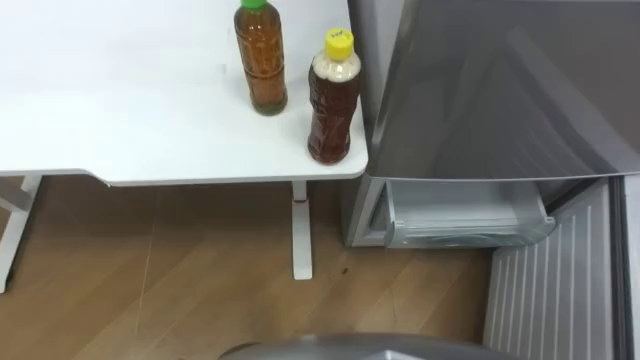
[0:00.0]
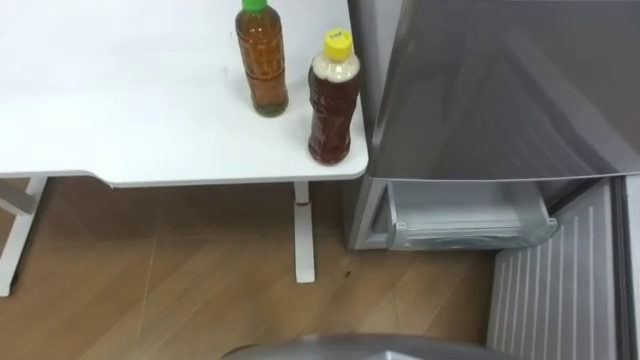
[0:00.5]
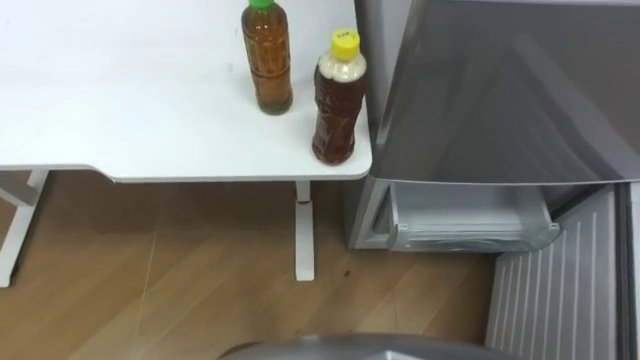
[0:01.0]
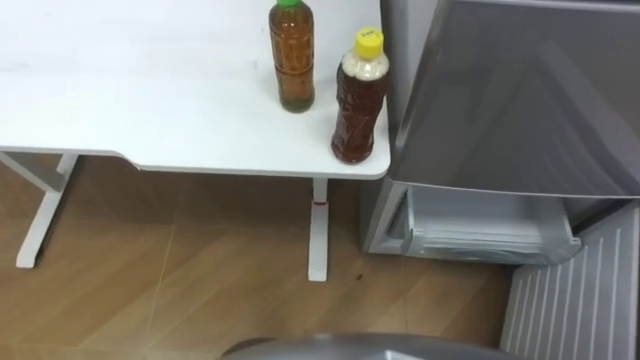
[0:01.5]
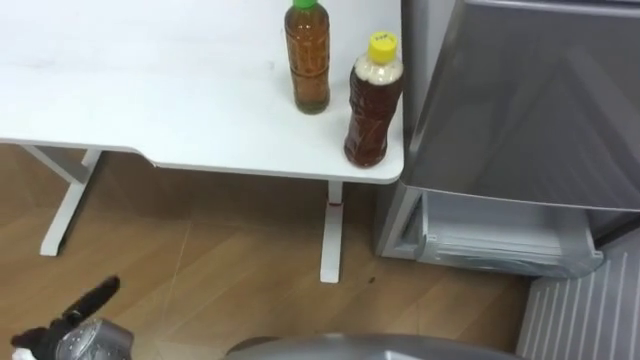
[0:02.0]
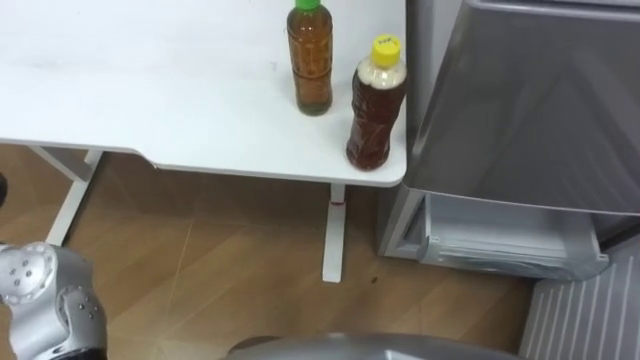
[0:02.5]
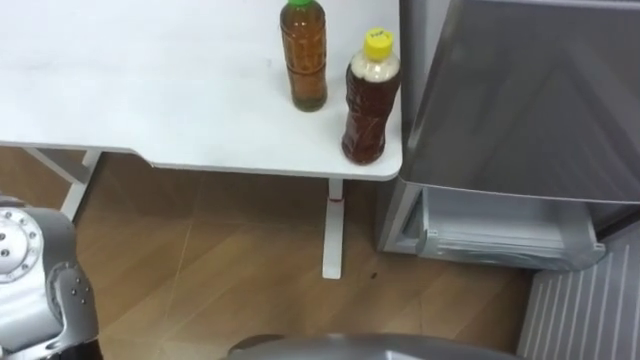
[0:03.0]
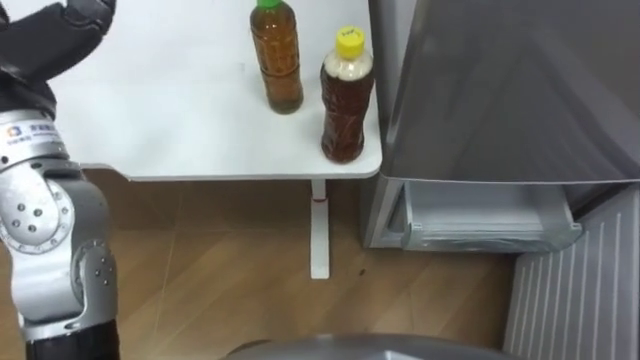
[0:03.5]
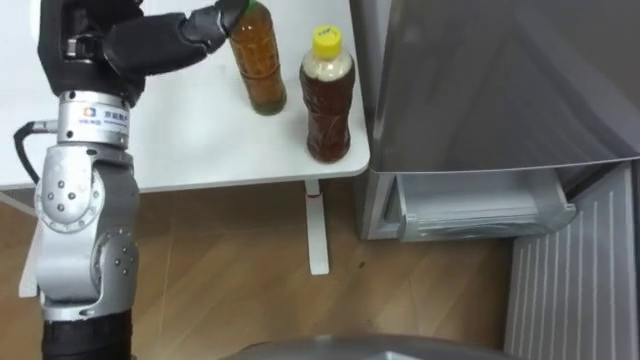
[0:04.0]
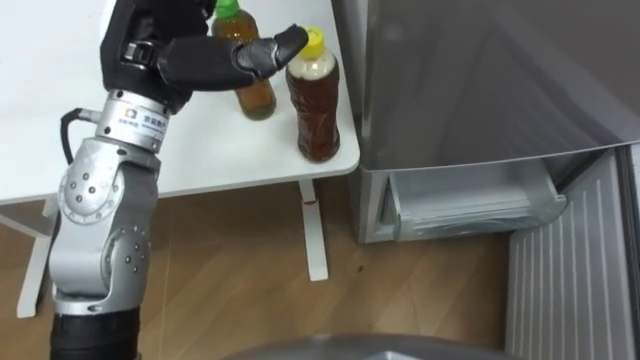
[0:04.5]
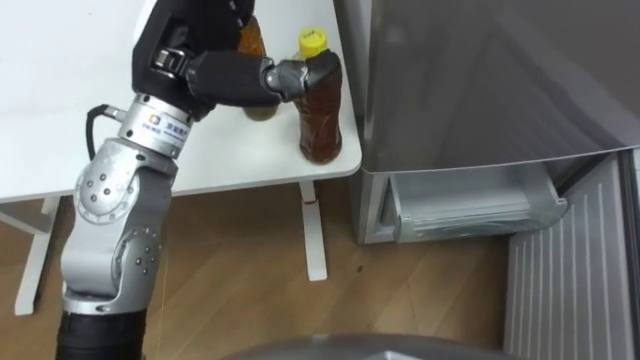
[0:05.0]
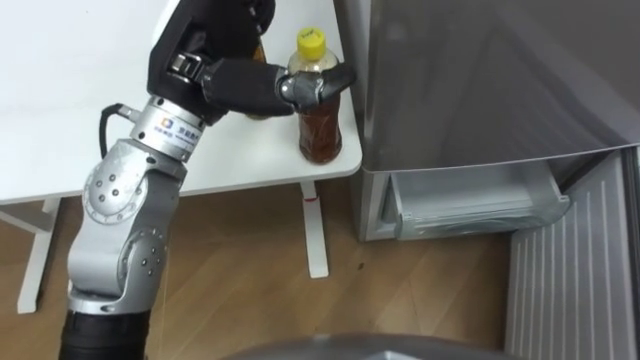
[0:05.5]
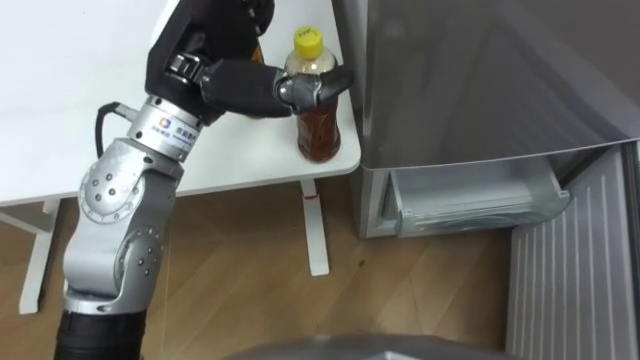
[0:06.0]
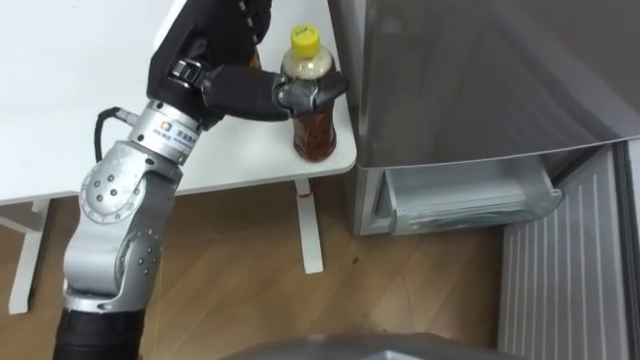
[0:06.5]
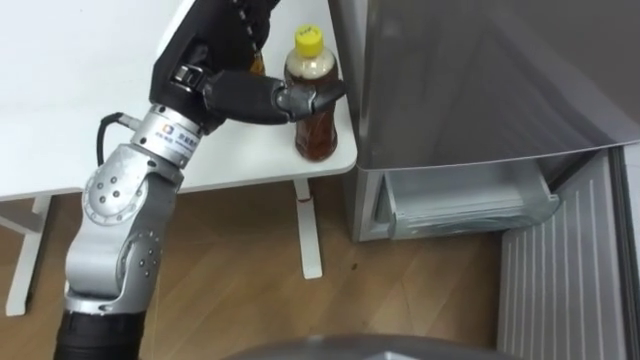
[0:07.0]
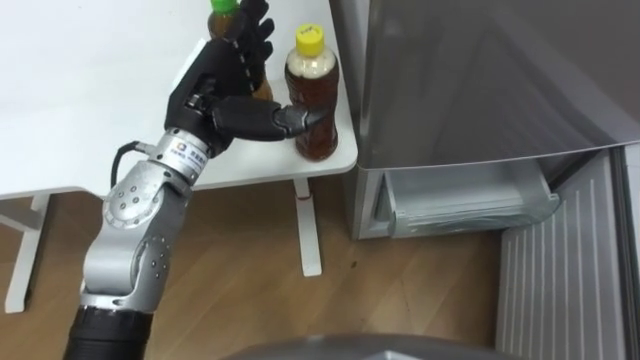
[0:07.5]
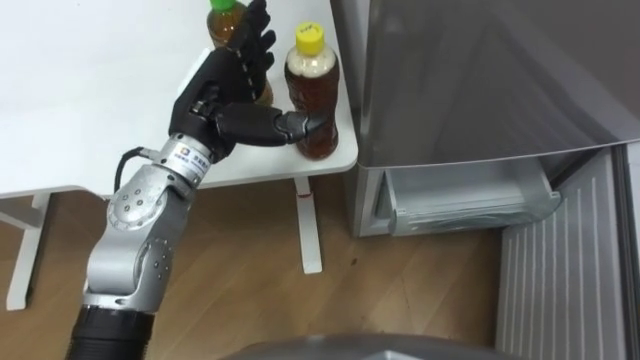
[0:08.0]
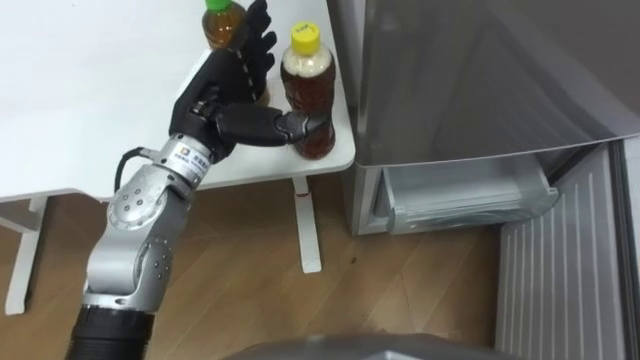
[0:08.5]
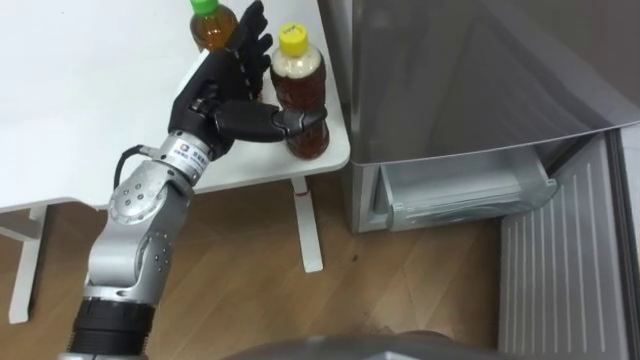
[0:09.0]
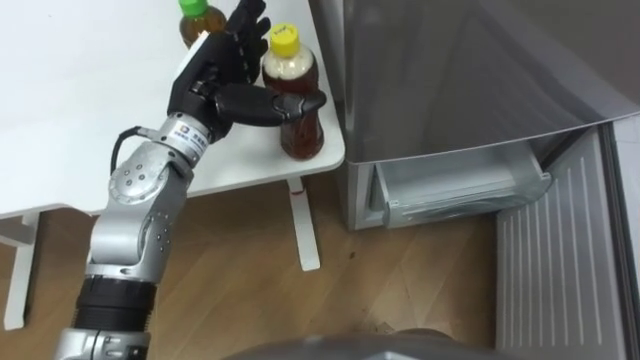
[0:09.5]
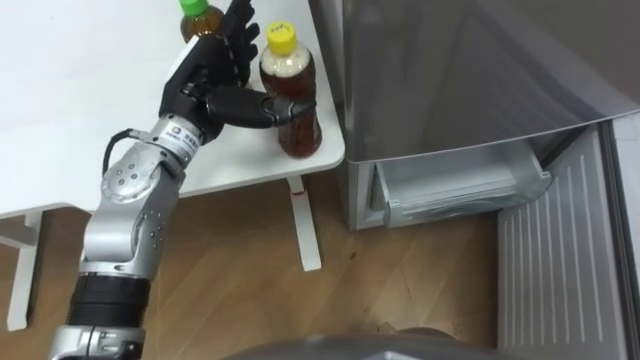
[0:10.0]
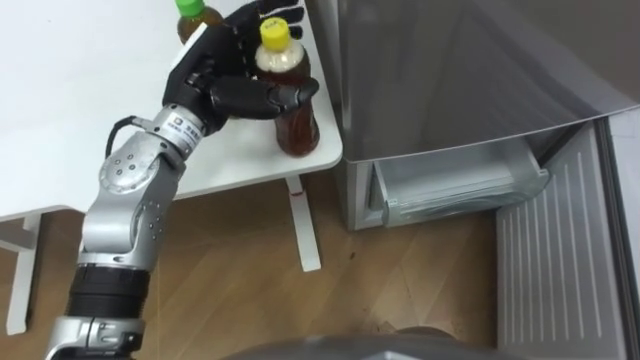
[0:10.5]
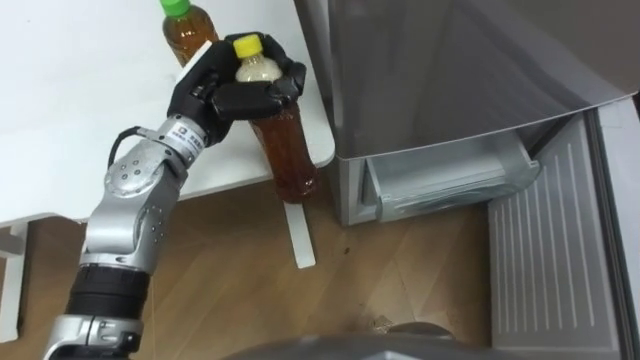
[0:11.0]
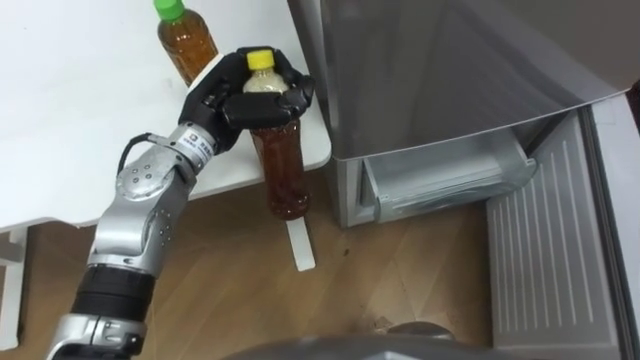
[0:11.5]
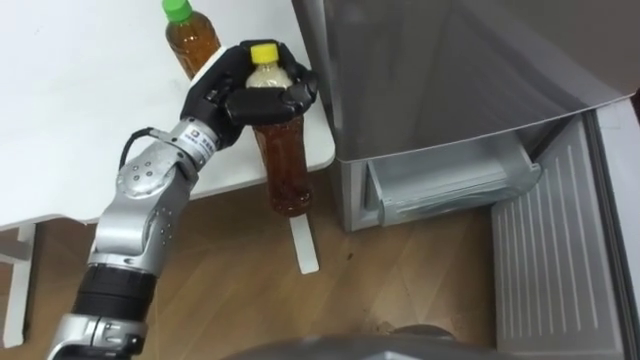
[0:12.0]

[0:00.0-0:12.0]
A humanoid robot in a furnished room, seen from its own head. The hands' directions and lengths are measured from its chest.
Task of the whole recording: Place the drink on the table on the bottom shelf of the refrigerator, then close the drawer and the refrigerator door.
0:04.0 to 0:06.0: The left hand moves to the right, some 10 cm.
0:06.0 to 0:08.0: The left hand heads downward, covering some 10 cm.
0:10.0 to 0:12.0: The left hand closes its fingers.

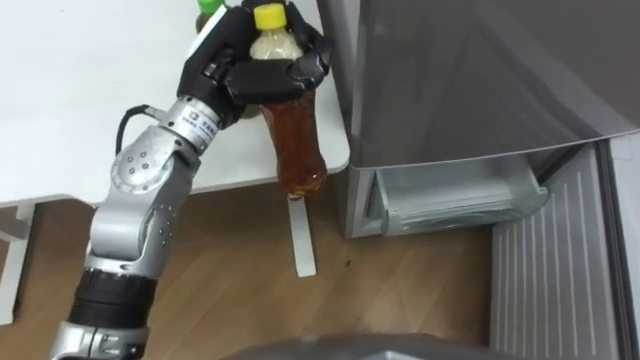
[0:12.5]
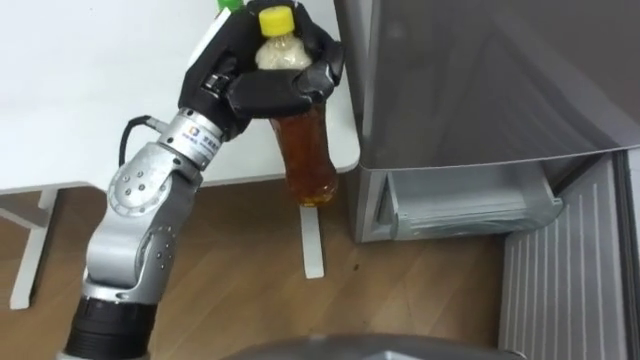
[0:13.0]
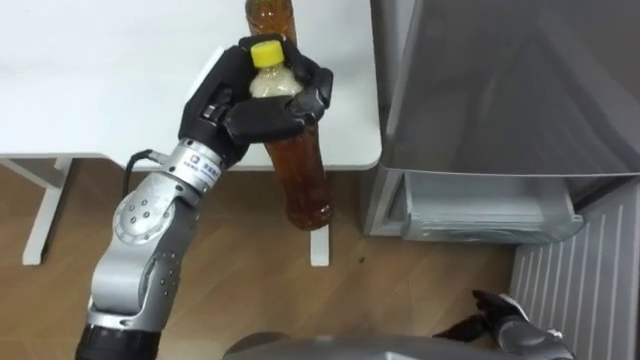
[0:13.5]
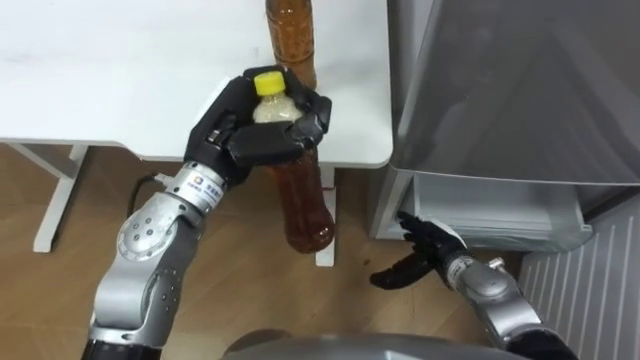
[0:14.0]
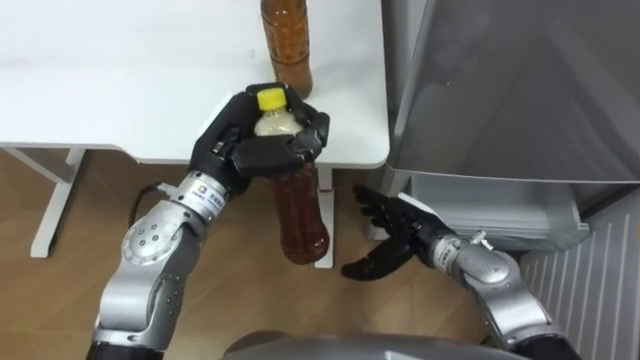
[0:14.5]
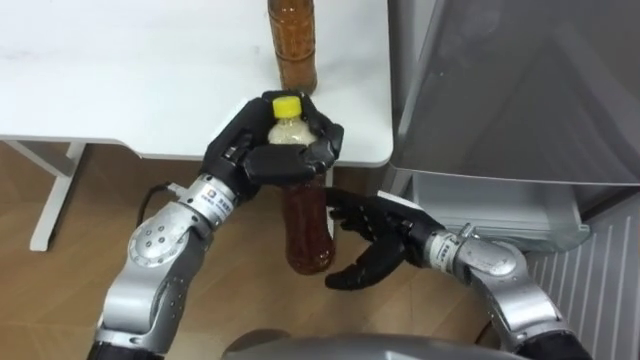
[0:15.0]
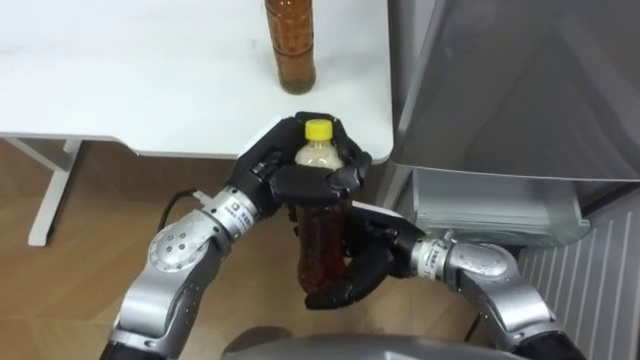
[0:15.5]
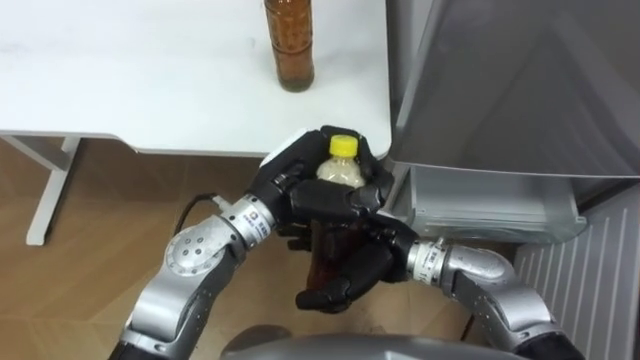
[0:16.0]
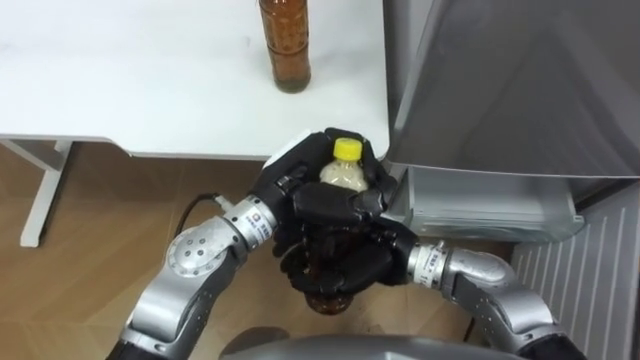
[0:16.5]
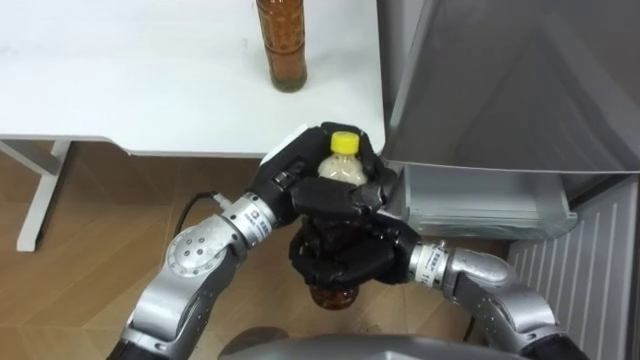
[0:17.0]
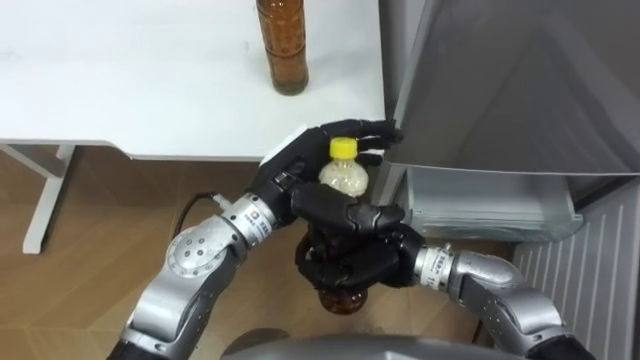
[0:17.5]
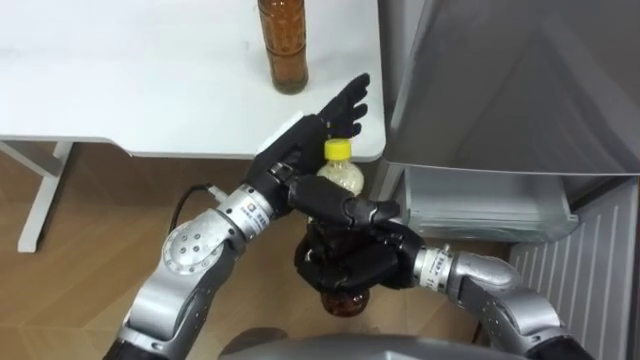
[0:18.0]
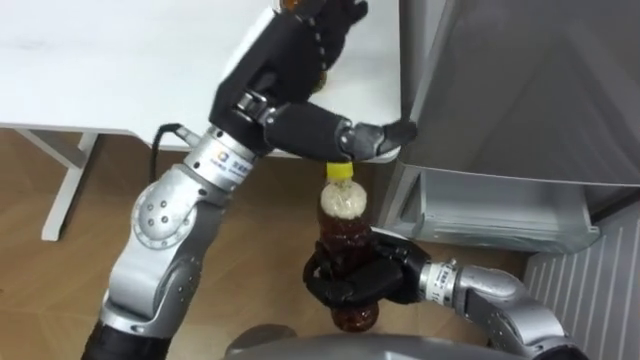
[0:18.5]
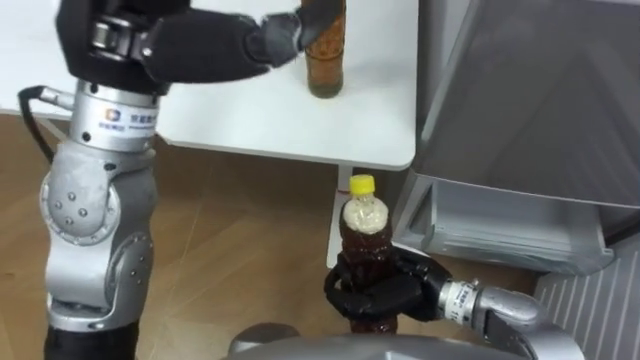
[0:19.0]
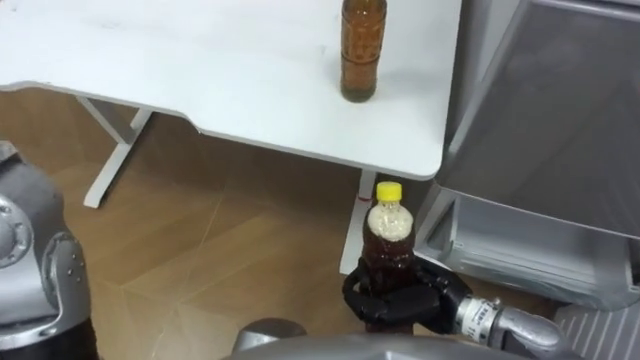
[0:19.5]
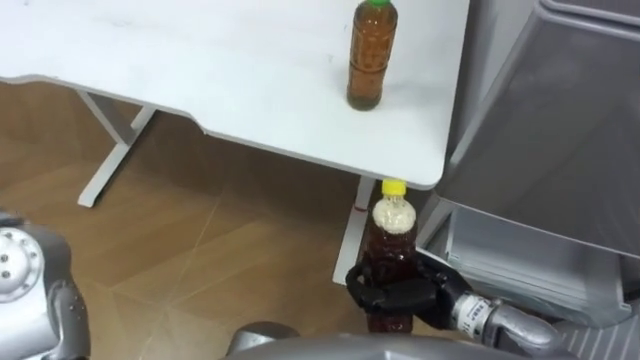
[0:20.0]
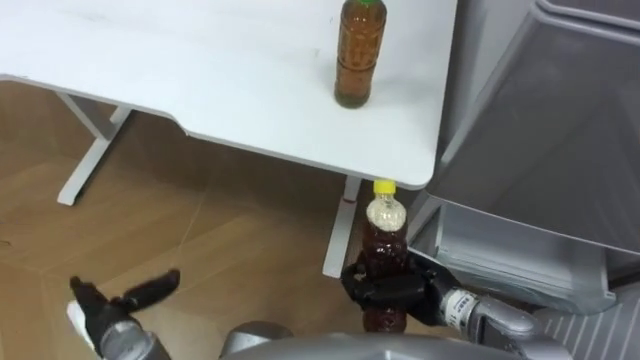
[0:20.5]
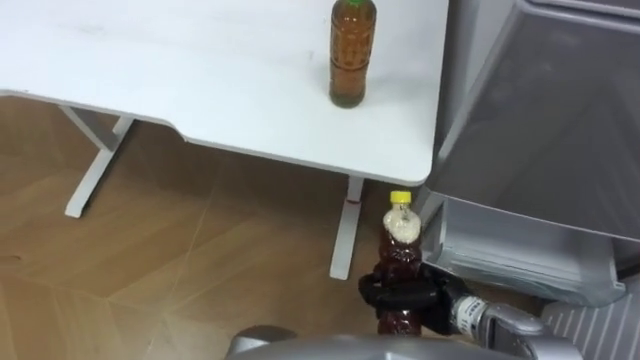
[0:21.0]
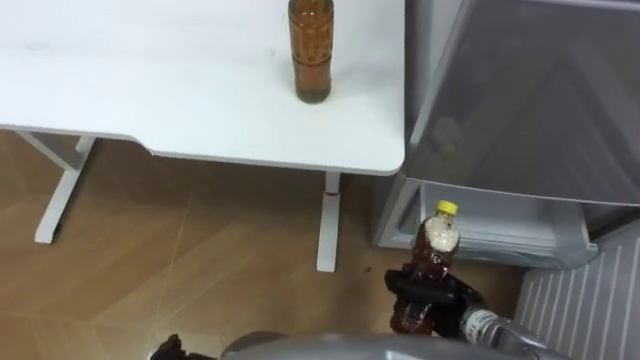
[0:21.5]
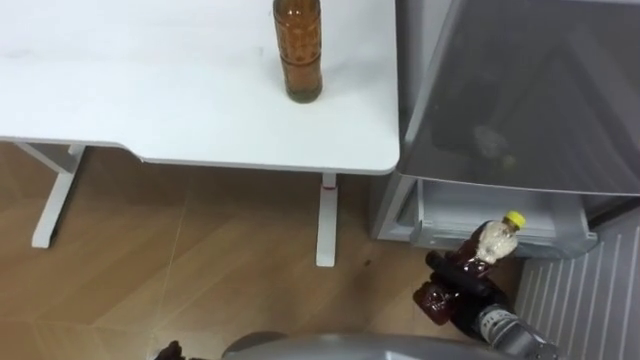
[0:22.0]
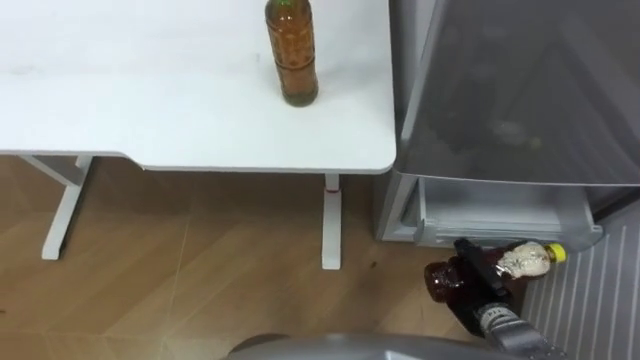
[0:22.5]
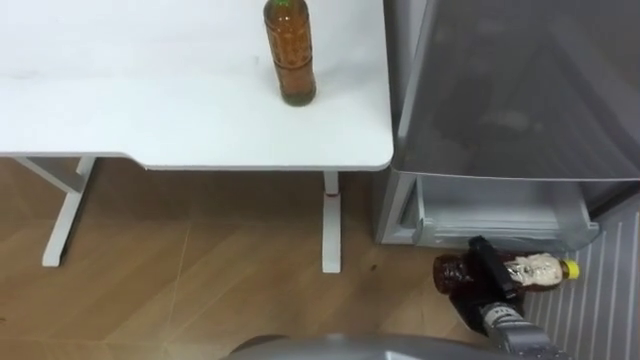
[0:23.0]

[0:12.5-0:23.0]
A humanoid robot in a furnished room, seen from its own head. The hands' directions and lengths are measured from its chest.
Task of the whole recording: Place the drink on the table on the bottom shelf of the refrigerator, then close the drawer and the refrigerator door.
0:12.5 to 0:14.5: The left hand travels downward and backward by approximately 10 cm.
0:14.5 to 0:16.5: The left hand heads to the right, covering about 10 cm, while the right hand travels to the left and upward by approximately 10 cm, and closes up.
0:16.5 to 0:19.0: The right hand changes place by roughly 5 cm, and closes its fingers. The left hand goes roughly 25 cm upward and to the left, and opens up.
0:19.0 to 0:21.0: The right hand heads downward, covering some 5 cm.
0:21.0 to 0:23.0: The right hand moves to the right, roughly 10 cm.
